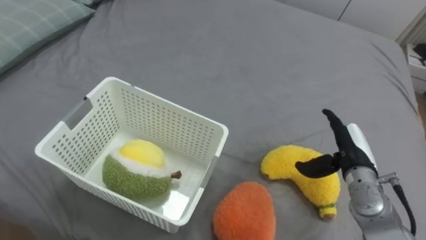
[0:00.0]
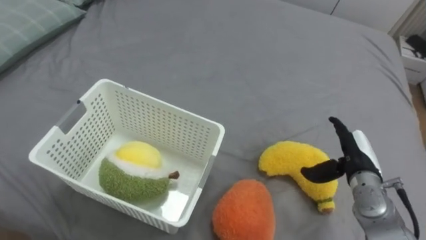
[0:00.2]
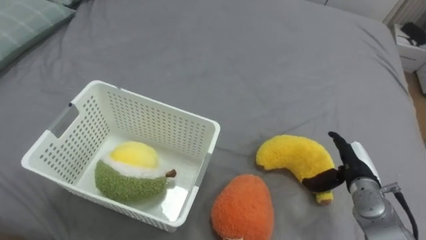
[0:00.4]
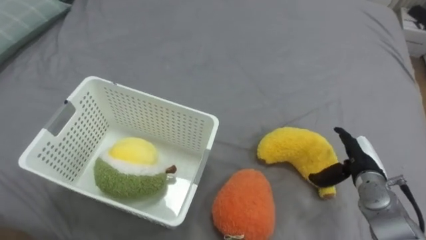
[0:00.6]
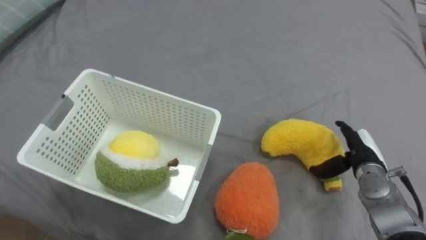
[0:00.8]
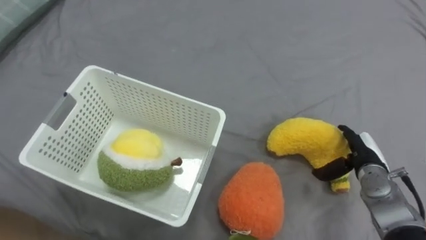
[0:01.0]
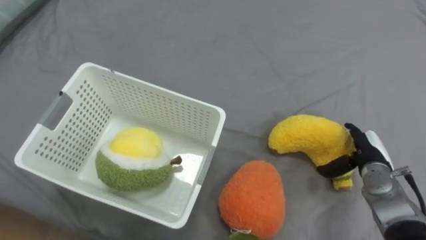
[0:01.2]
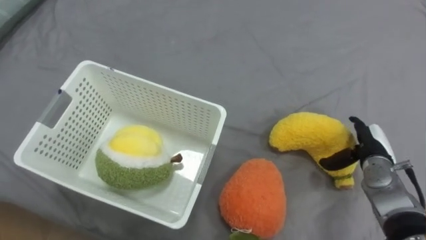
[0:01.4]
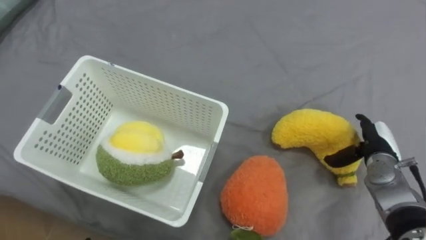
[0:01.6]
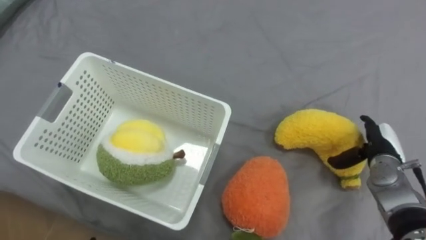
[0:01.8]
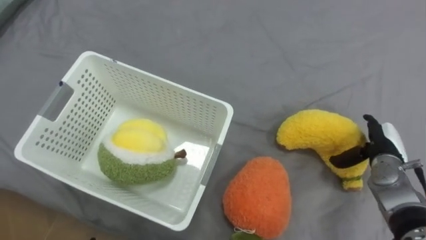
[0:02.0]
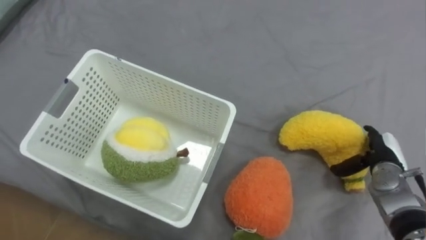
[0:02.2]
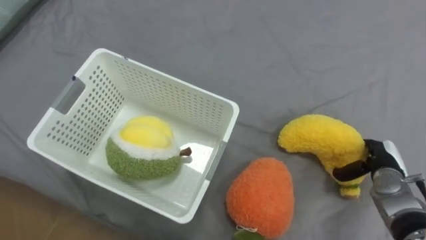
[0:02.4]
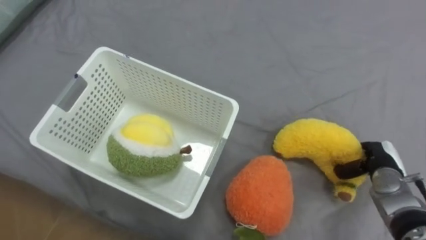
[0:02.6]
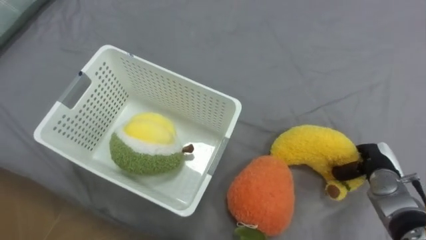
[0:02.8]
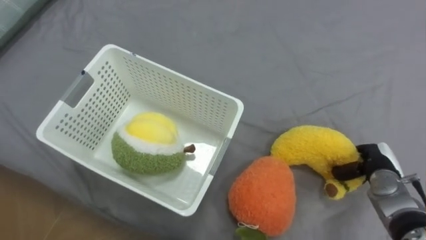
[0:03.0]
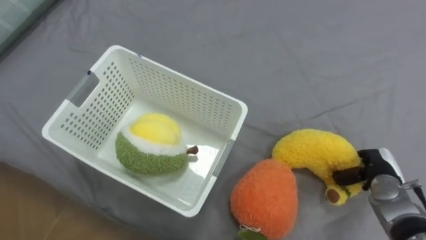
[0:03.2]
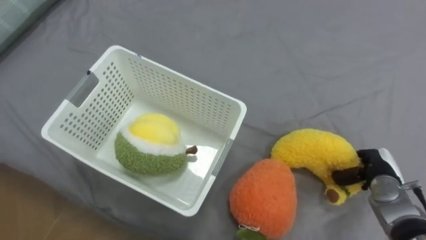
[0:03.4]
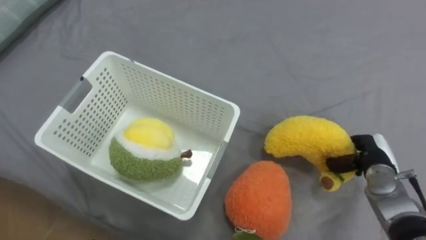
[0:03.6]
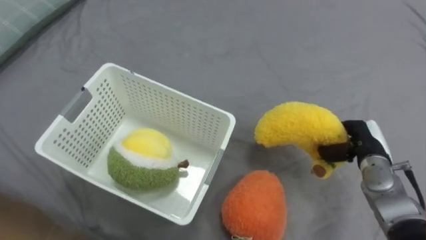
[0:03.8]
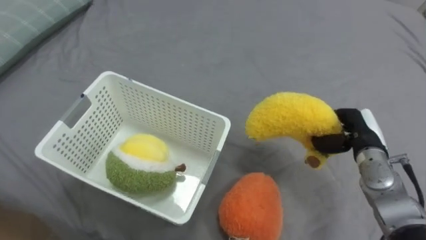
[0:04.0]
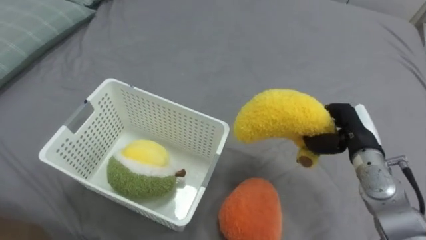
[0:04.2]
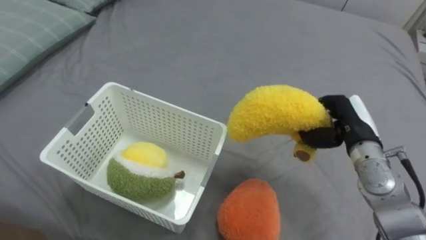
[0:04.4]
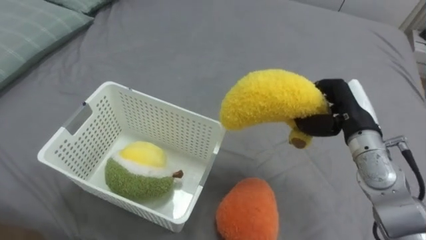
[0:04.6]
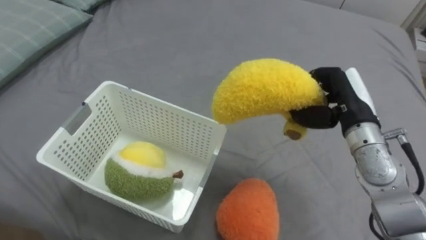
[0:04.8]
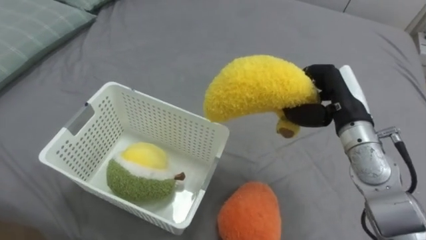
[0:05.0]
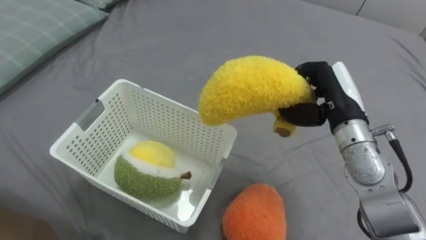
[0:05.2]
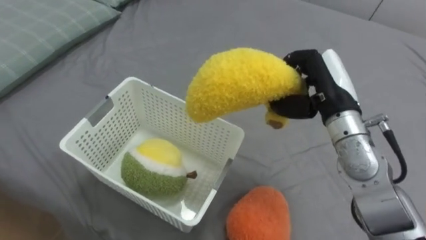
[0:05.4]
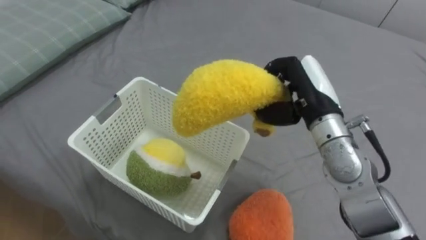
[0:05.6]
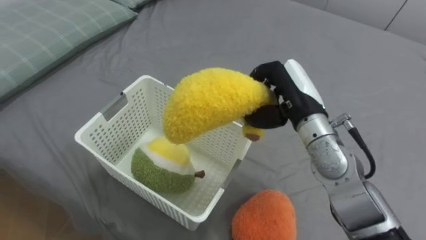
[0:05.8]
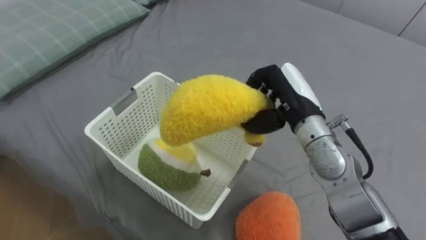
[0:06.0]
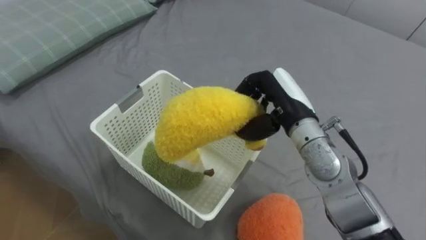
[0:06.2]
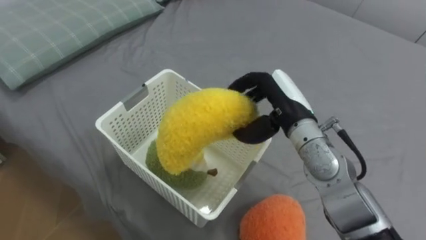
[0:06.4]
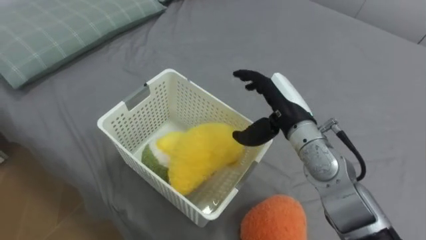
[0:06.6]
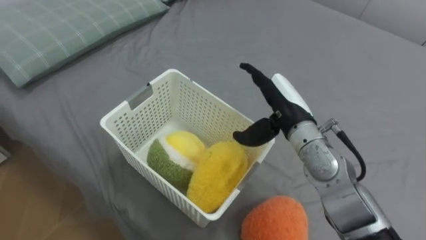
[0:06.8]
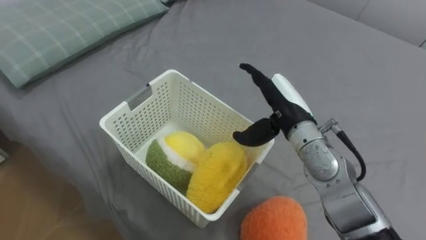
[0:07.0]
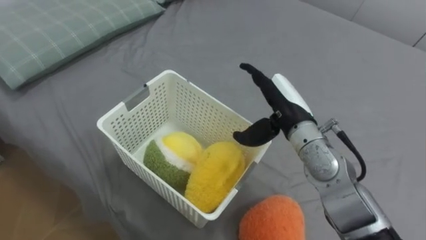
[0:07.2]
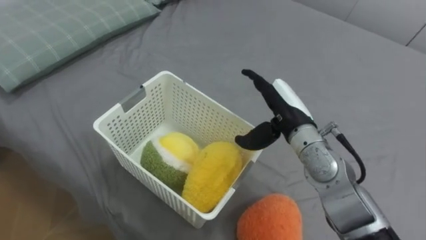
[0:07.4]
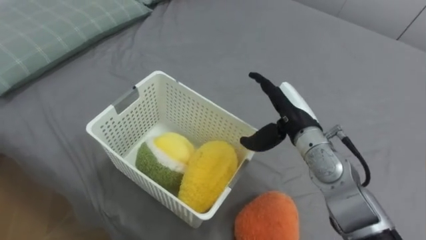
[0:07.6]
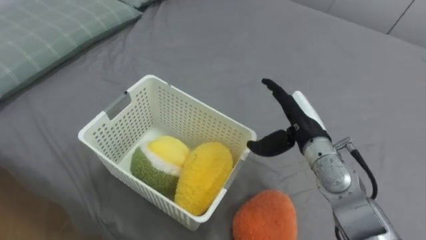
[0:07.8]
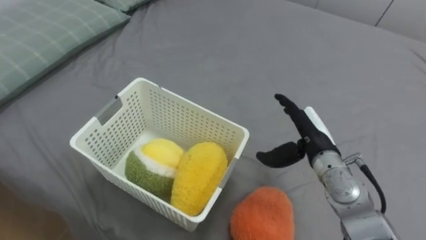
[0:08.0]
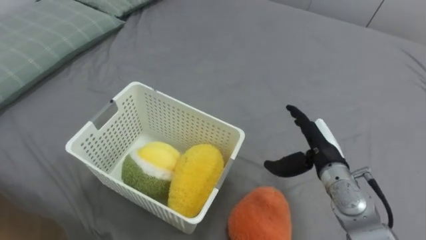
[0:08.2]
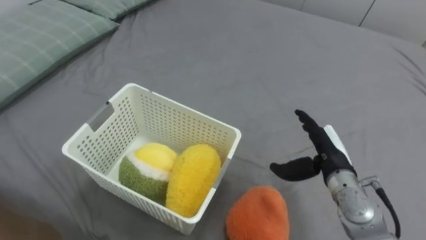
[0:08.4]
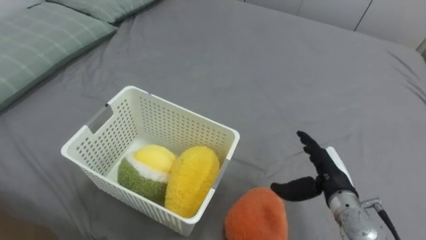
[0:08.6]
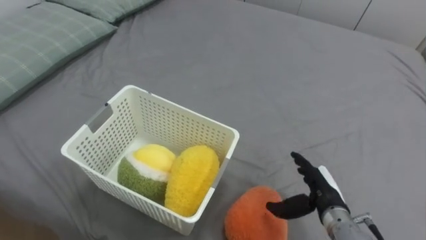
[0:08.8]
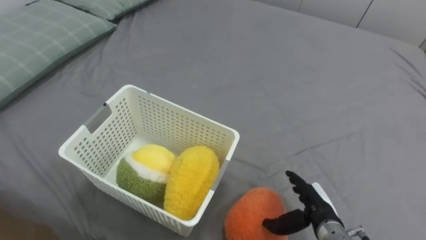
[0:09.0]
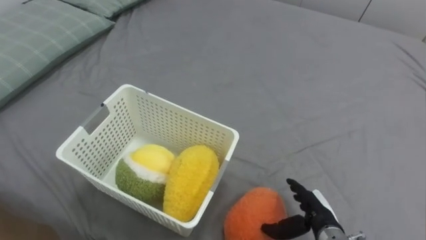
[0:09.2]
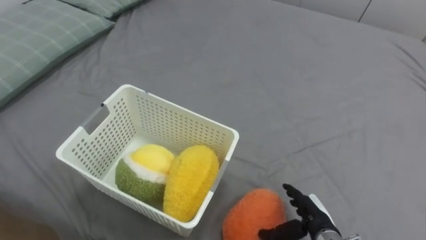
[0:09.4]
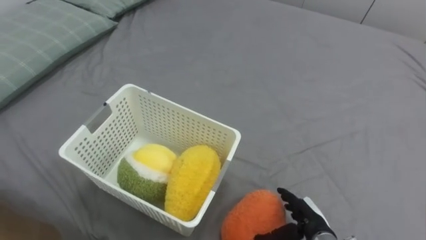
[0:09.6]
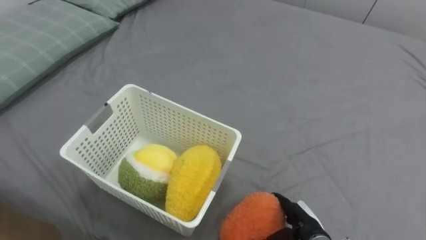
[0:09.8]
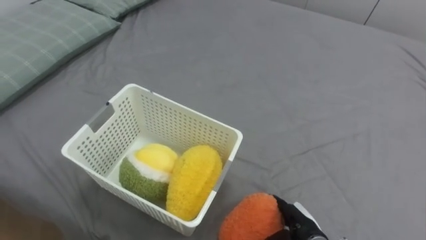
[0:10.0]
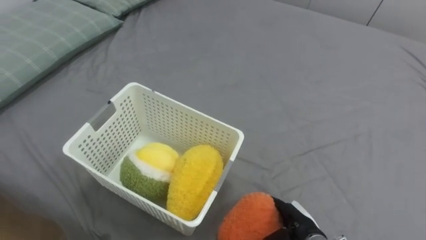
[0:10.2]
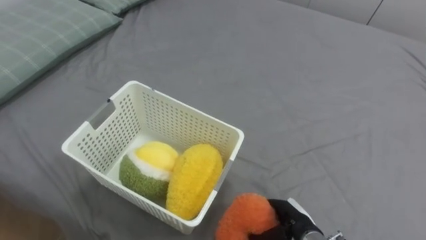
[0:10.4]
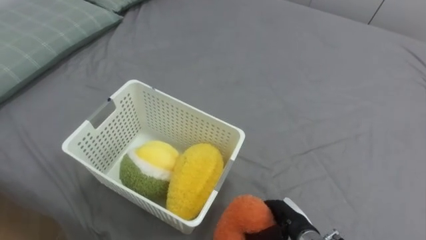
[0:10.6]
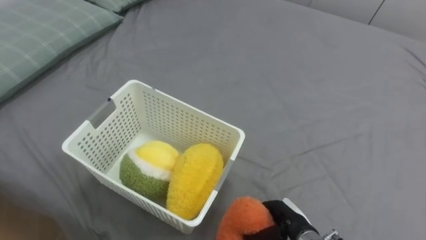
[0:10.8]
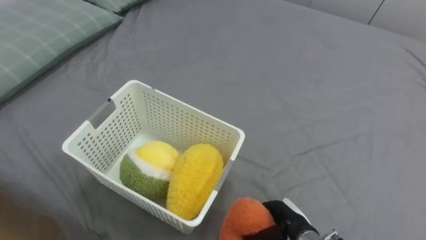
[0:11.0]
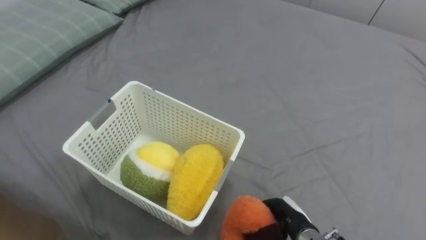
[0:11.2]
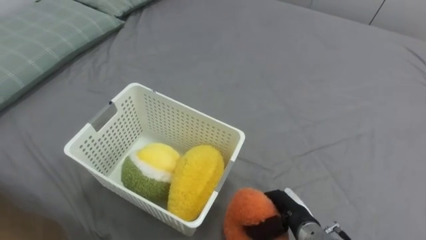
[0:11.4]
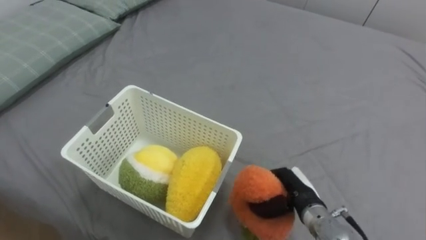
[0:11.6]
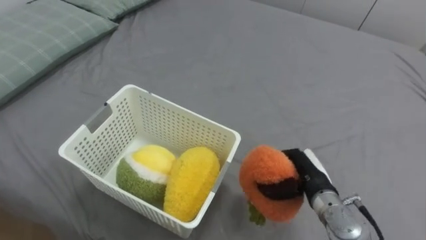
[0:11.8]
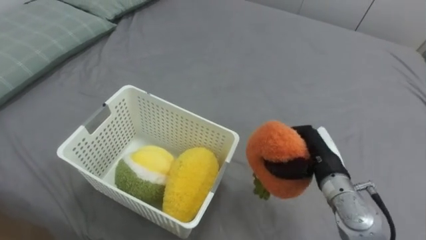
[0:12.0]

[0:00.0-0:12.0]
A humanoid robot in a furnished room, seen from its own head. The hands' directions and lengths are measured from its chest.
Task of the whole recording: Put the toys on the bed into the basket on the left.
0:00.0 to 0:01.6: The right hand shifts roughly 5 cm to the right.
0:01.6 to 0:03.0: The right hand closes up.
0:03.0 to 0:04.4: The right hand moves upward and to the left, approximately 15 cm.
0:04.4 to 0:06.0: The right hand goes approximately 15 cm to the left and upward.
0:06.0 to 0:07.6: The right hand opens up.
0:07.6 to 0:09.0: The right hand is displaced downward, backward and to the right by some 20 cm.
0:09.0 to 0:10.4: The right hand ends up roughly 5 cm from where it was, and closes up.
0:10.4 to 0:12.0: The right hand moves upward and forward, roughly 15 cm, and closes up.

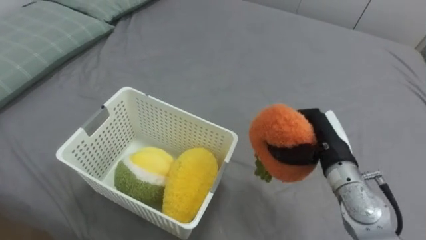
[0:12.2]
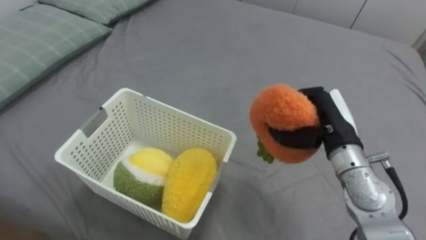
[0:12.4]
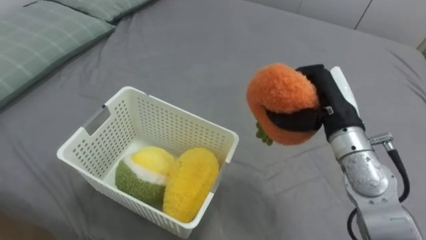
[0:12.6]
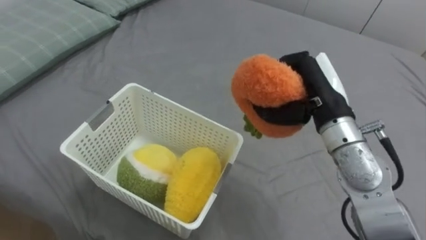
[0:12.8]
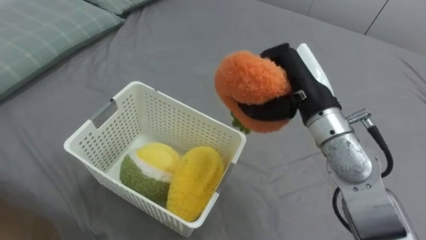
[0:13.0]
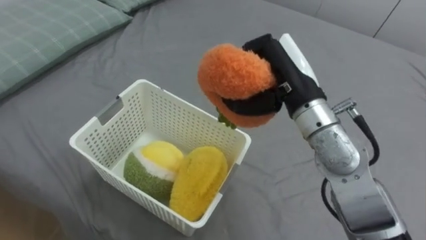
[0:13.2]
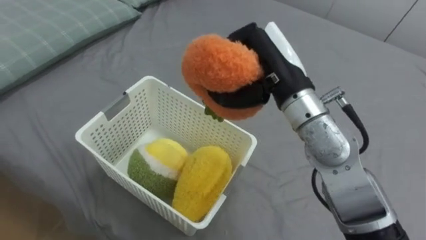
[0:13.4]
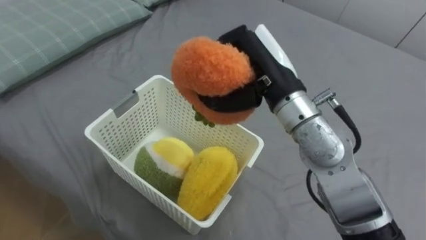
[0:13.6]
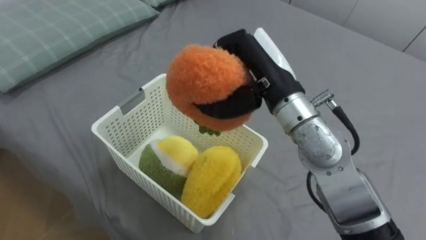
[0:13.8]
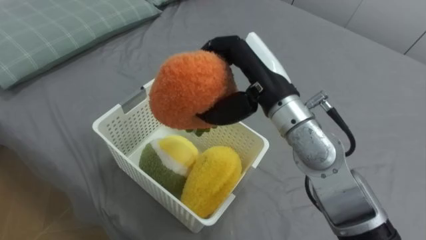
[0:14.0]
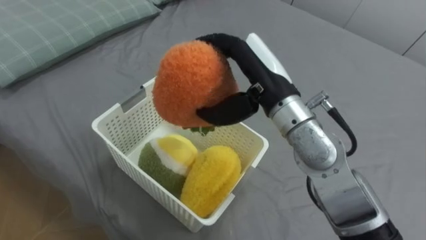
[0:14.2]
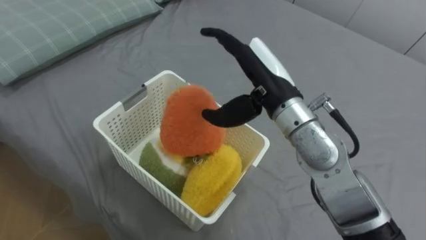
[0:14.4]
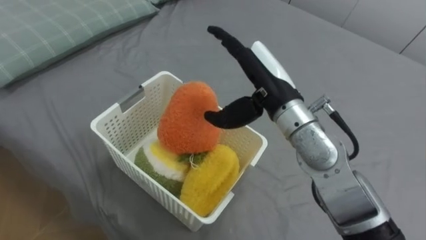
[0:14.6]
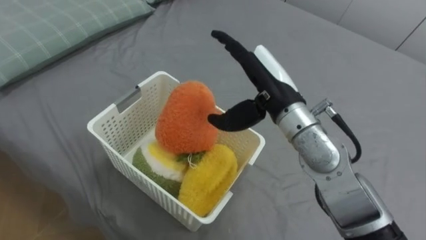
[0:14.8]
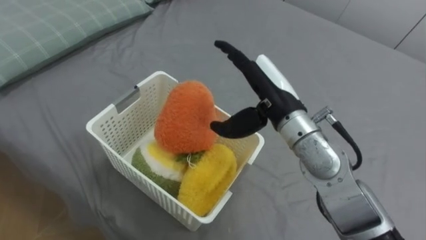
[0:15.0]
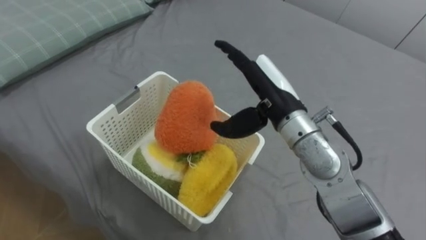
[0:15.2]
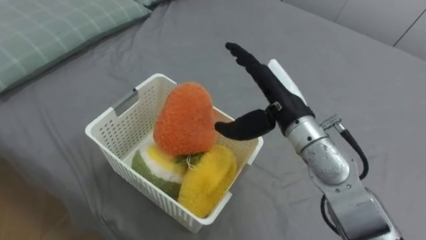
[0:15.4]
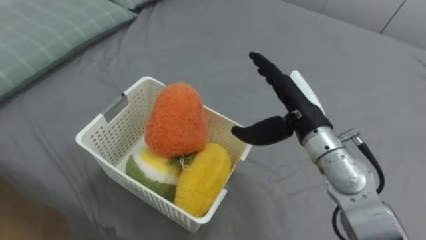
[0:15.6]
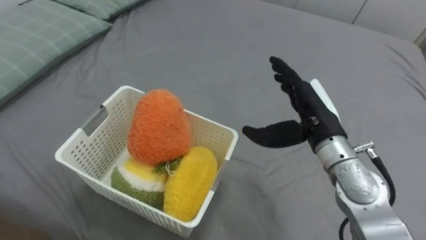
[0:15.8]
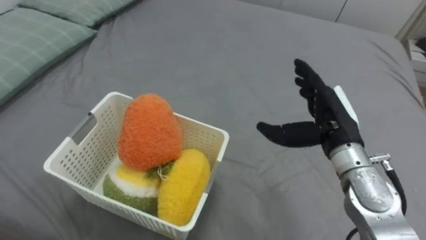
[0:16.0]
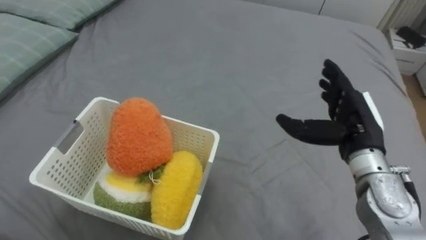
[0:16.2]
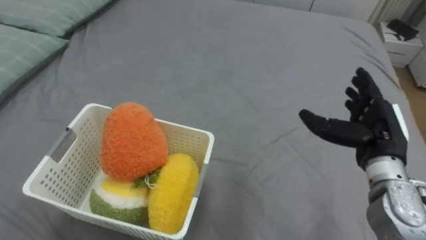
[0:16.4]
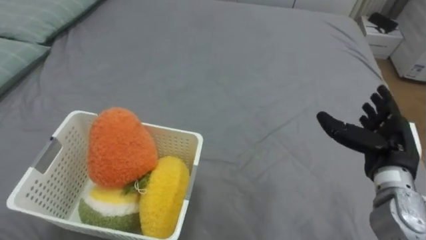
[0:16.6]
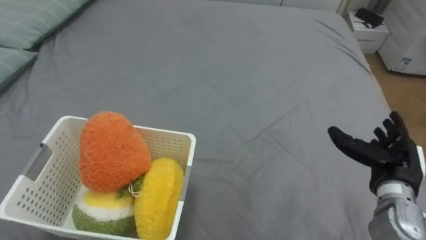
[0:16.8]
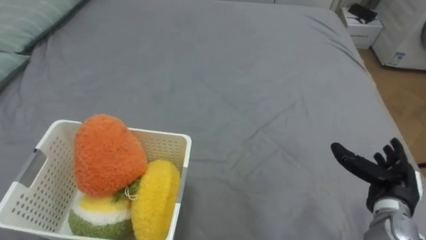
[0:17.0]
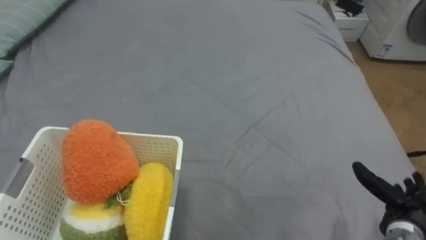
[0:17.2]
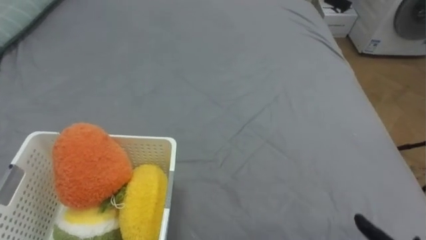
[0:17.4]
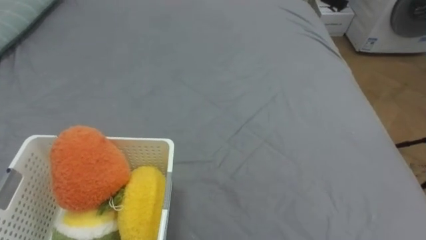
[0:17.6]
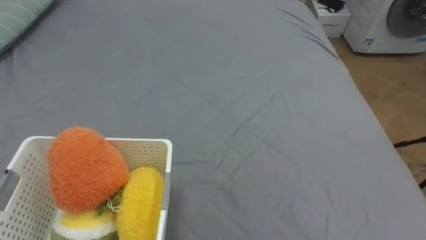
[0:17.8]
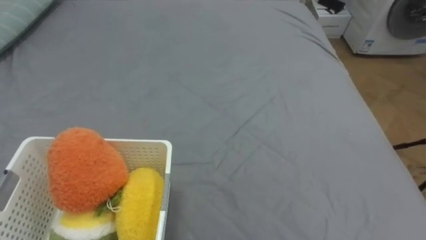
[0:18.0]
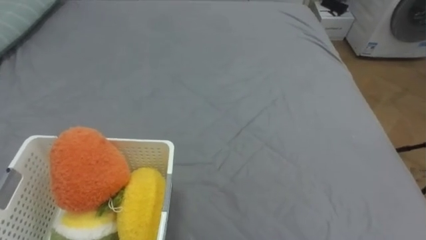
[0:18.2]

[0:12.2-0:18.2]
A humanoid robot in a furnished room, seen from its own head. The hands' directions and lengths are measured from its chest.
Task of the whole recording: Put the toys on the bed into the basket on the left.
0:12.2 to 0:13.8: The right hand is displaced upward and to the left by some 20 cm.
0:13.8 to 0:15.2: The right hand opens.
0:15.2 to 0:16.6: The right hand is displaced to the right by roughly 20 cm.
